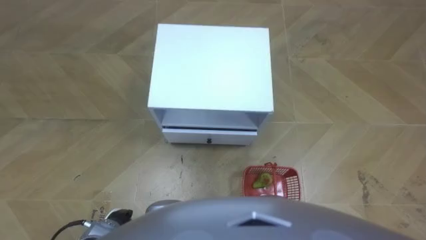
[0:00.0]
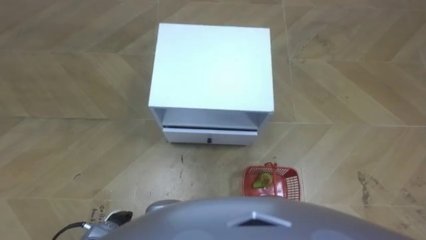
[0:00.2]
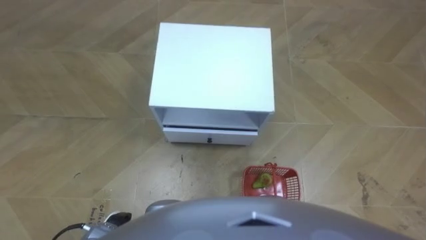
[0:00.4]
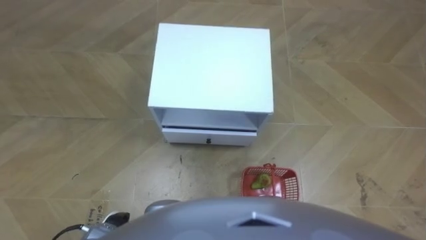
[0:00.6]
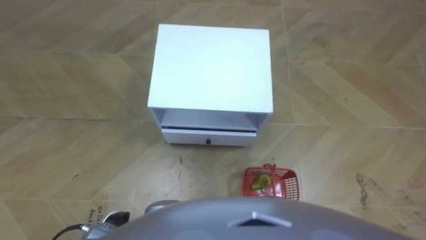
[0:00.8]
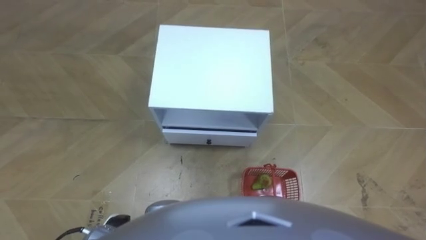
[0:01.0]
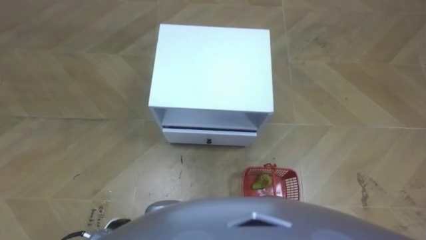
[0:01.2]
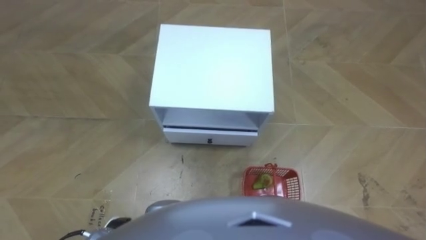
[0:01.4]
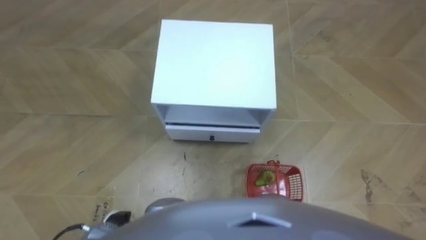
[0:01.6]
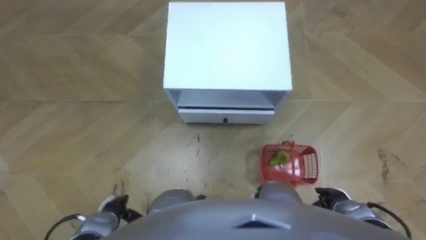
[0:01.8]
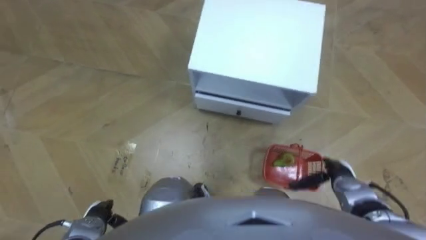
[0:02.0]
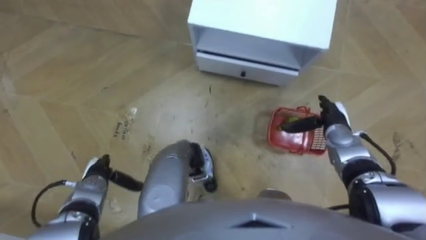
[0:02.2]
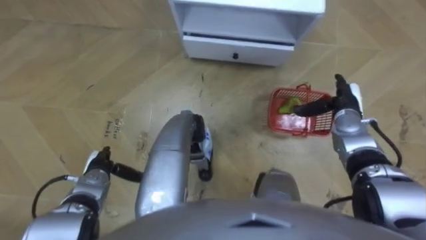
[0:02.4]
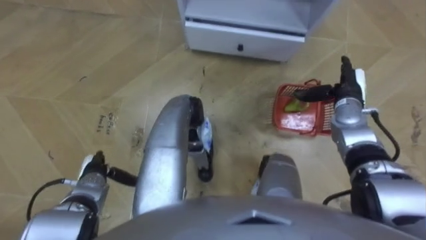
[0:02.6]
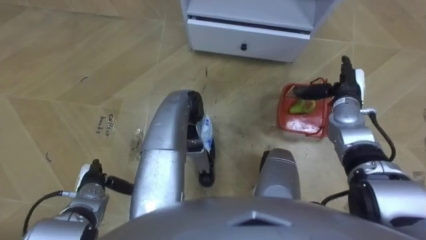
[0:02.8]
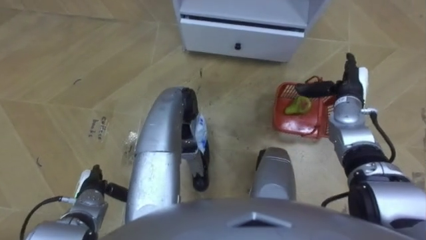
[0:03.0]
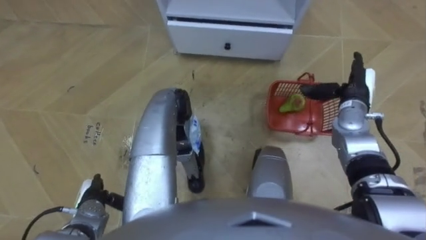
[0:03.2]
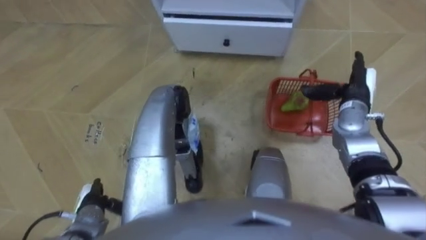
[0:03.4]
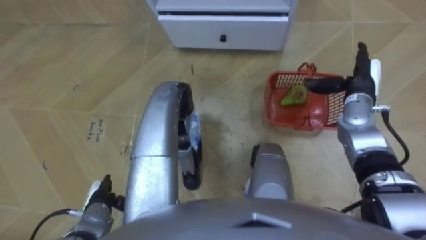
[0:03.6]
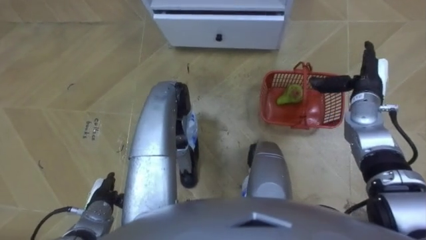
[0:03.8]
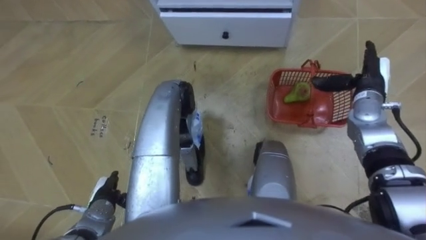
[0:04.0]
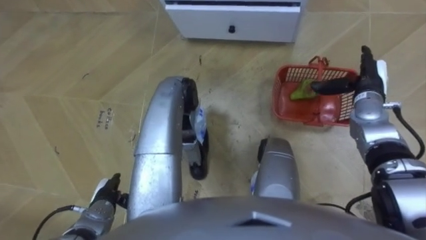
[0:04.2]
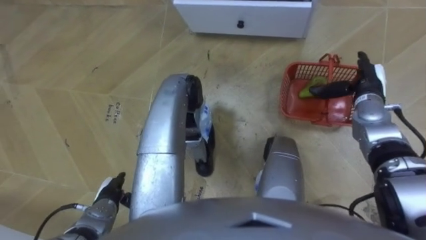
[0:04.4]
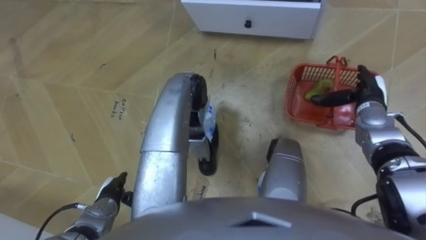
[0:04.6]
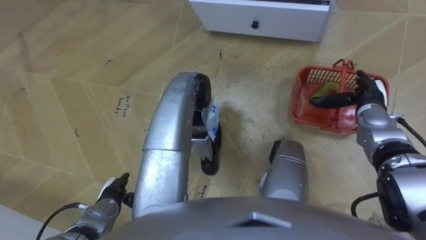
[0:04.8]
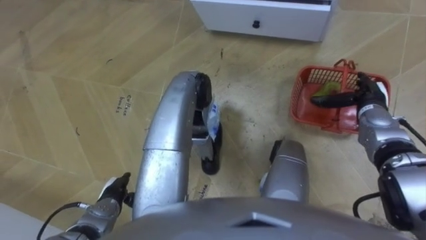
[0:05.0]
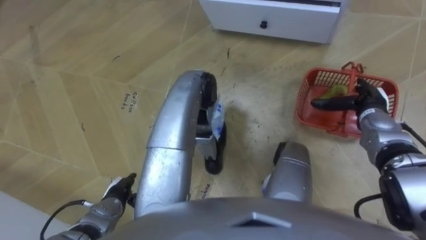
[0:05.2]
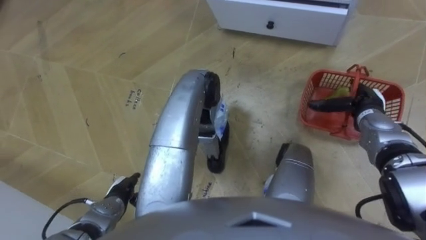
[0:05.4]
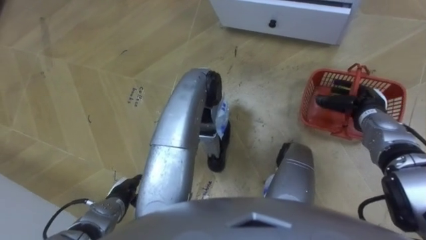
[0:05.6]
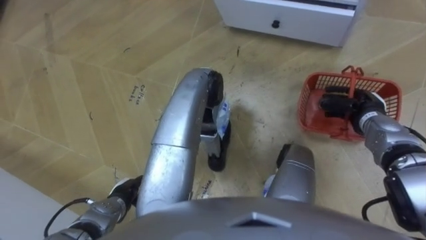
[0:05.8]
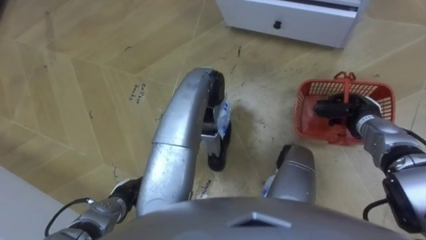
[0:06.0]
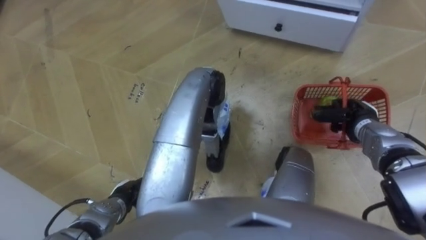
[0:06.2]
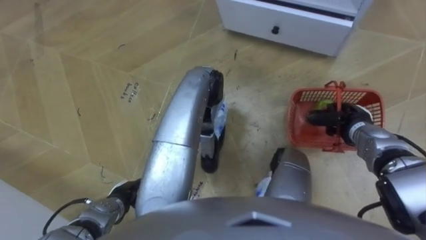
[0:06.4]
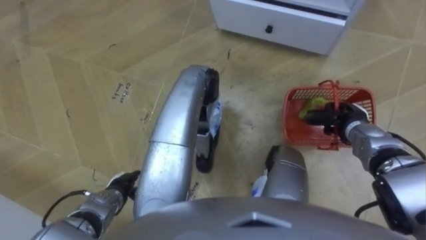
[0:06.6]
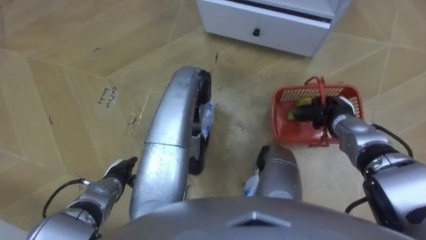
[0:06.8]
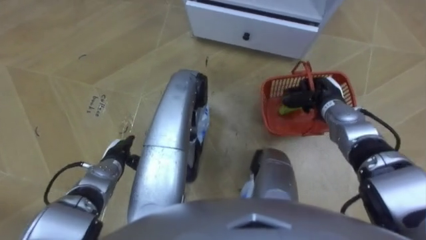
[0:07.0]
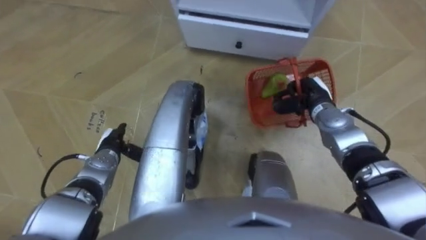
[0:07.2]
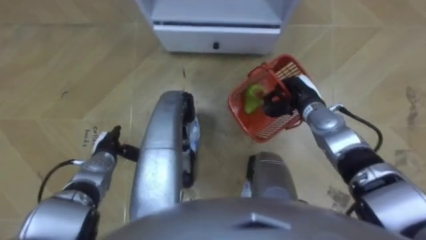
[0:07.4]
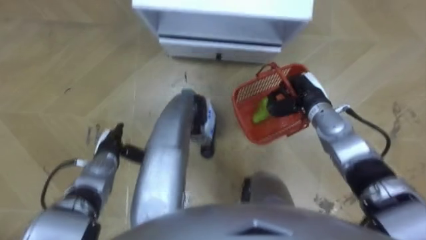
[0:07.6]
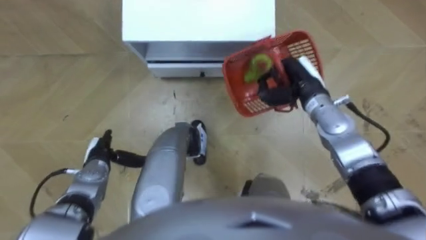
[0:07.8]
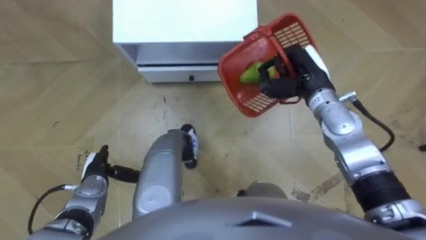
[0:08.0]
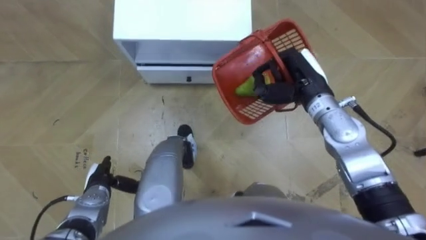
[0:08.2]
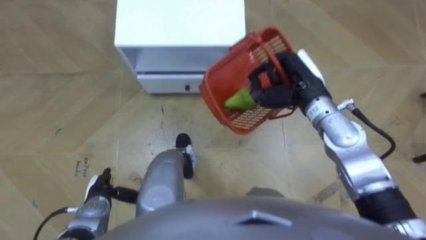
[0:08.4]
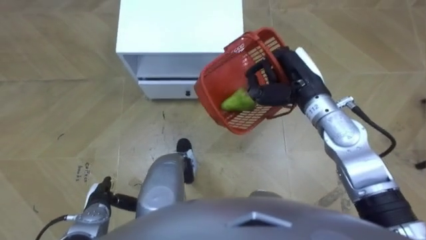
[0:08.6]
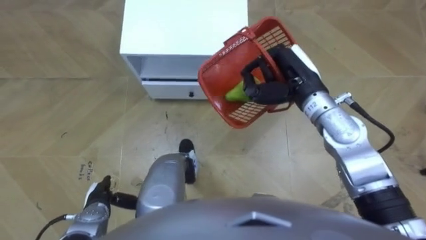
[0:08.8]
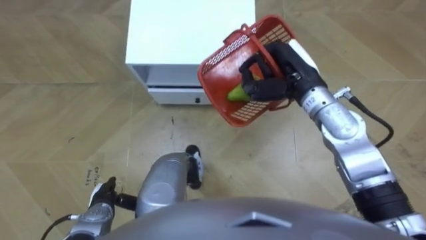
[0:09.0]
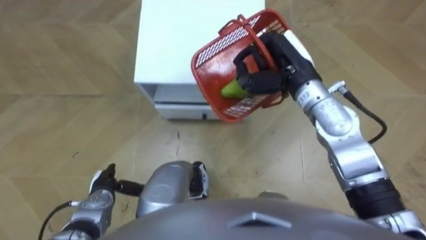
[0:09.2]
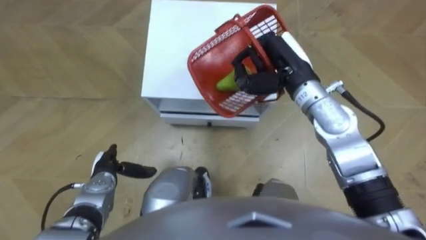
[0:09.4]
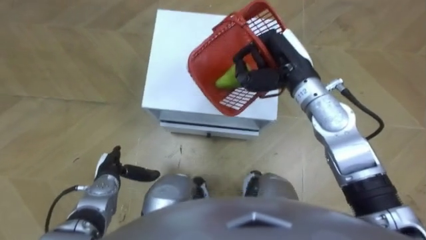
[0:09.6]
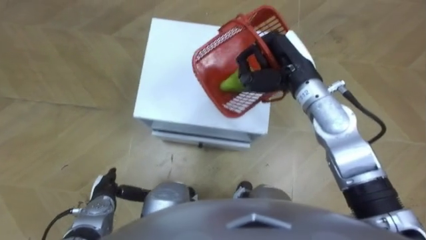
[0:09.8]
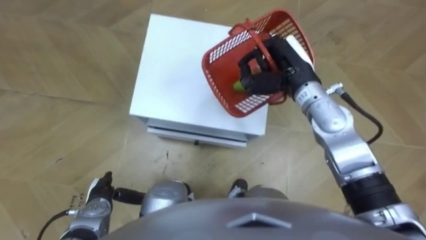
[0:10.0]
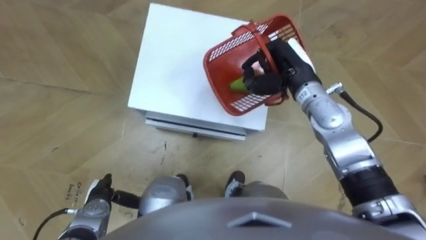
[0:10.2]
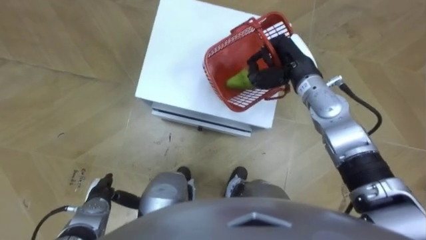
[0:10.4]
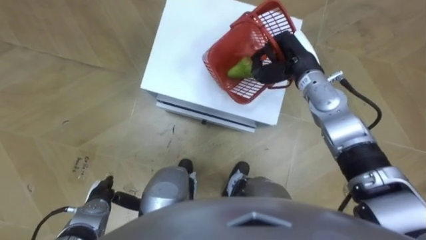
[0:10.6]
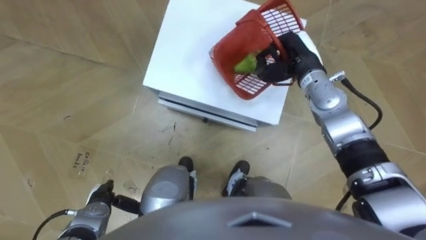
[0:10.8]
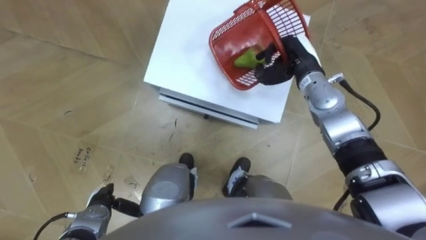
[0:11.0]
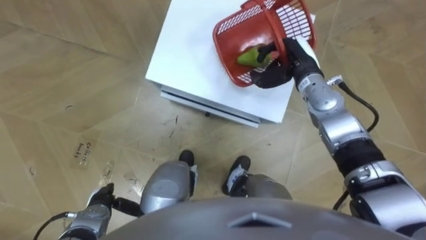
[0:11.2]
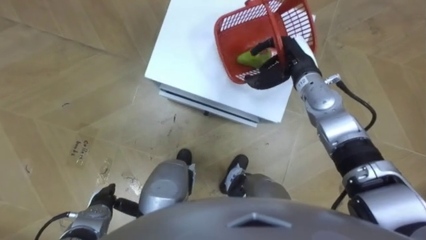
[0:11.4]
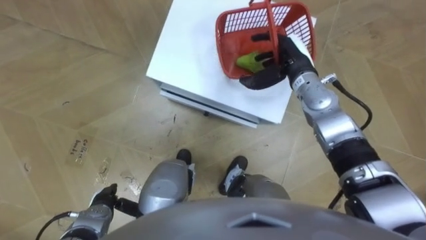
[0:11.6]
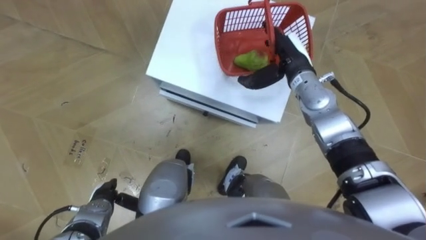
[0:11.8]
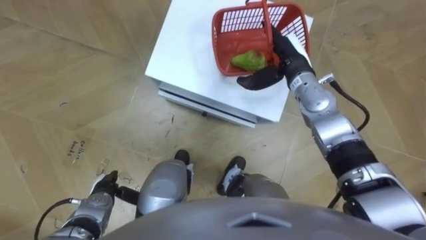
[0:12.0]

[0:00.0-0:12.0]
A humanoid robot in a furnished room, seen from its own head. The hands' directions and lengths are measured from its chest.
Task of the whole recording: Pick up the fruit basket from the floor and place it on the cabinet.
0:01.6 to 0:03.0: The right hand shifts some 30 cm forward and upward, while the left hand is displaced forward and to the left by some 10 cm.
0:04.4 to 0:06.0: The right hand changes place by roughly 5 cm, and closes its fingers.
0:06.0 to 0:07.6: The left hand is displaced forward by roughly 10 cm, while the right hand moves to the left, about 10 cm.
0:07.6 to 0:09.0: The right hand heads upward and to the left, covering about 15 cm; the left hand heads backward, covering roughly 10 cm.
0:09.0 to 0:10.4: The right hand moves approximately 5 cm.
0:10.4 to 0:12.0: The right hand opens.

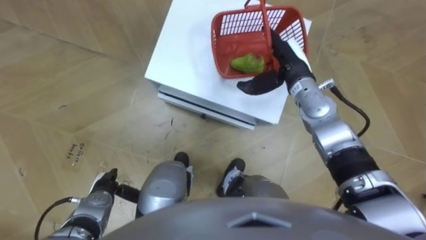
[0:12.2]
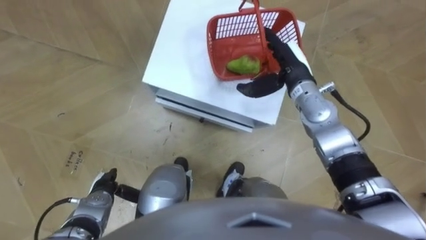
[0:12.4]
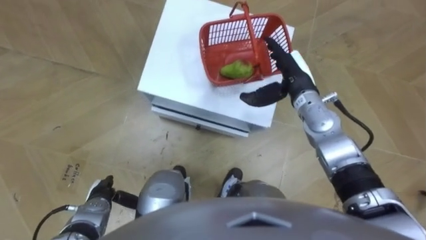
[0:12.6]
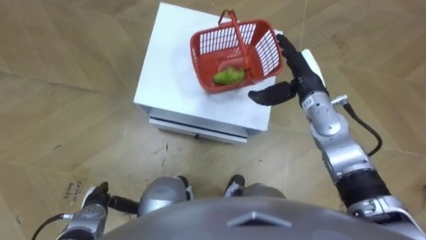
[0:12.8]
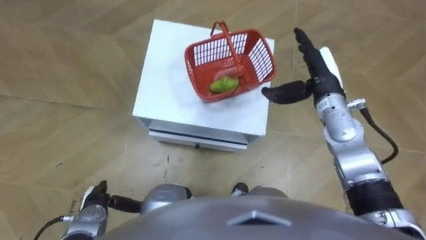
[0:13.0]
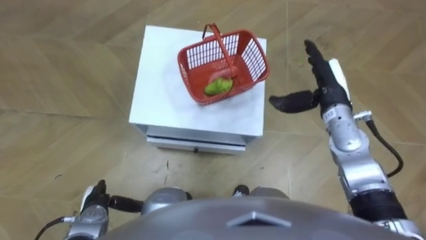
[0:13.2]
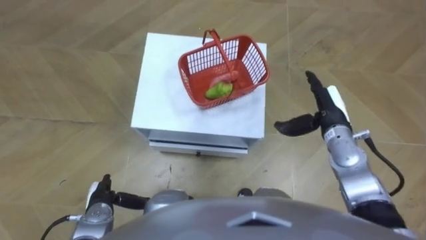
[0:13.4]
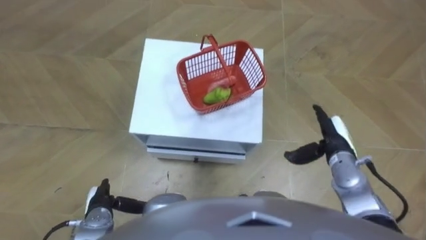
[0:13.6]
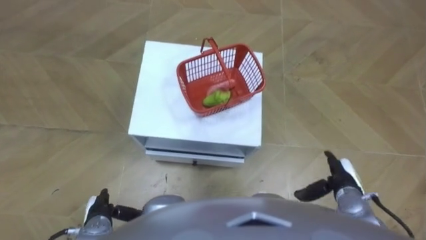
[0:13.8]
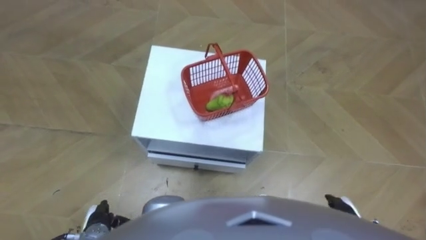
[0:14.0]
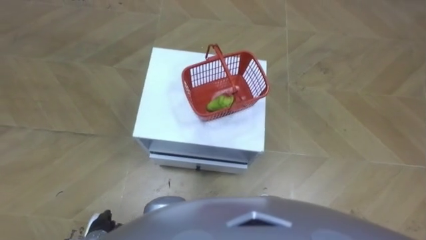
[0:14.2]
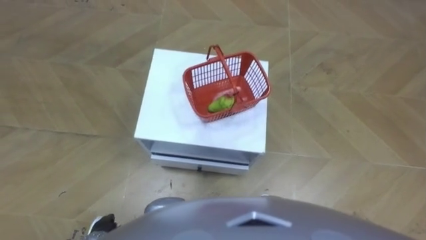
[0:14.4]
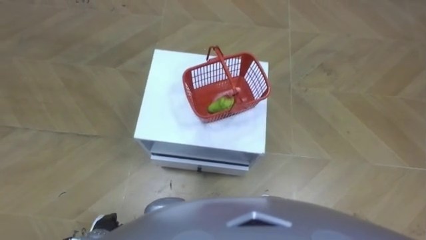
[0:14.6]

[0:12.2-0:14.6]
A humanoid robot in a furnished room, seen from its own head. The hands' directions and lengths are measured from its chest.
Task of the whole recording: Pick up the fruit basket from the floor and place it on the cabinet.
0:12.2 to 0:13.4: The right hand travels to the right and backward by about 10 cm.
0:13.4 to 0:14.6: The left hand goes roughly 5 cm backward.

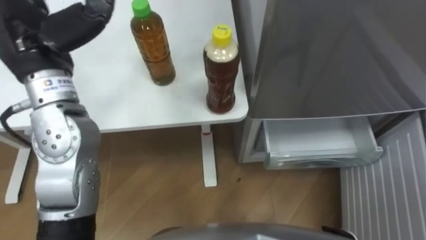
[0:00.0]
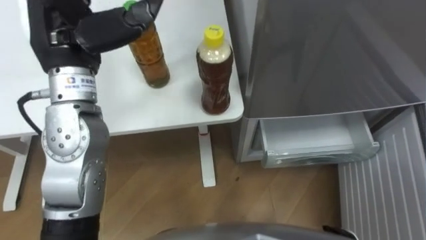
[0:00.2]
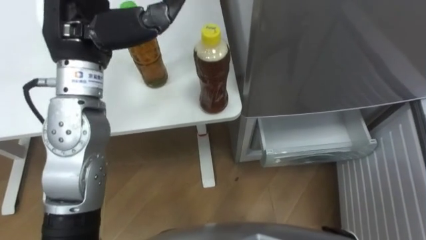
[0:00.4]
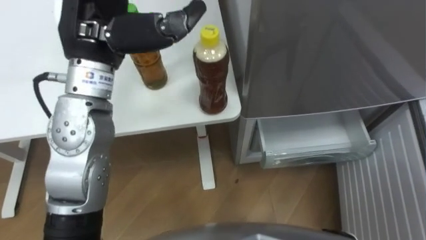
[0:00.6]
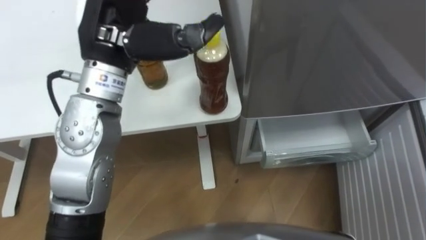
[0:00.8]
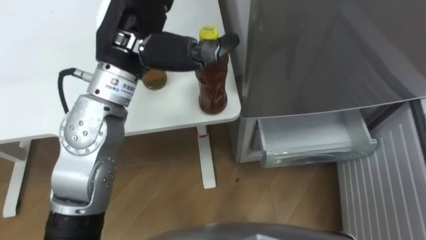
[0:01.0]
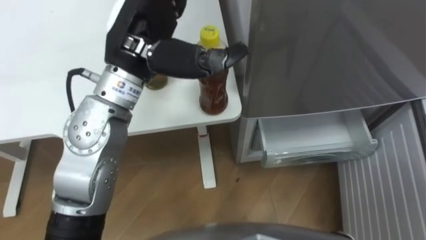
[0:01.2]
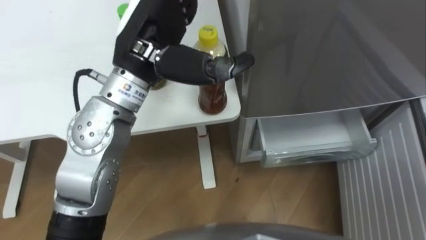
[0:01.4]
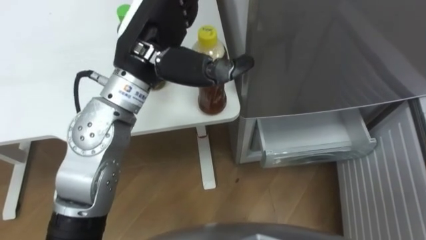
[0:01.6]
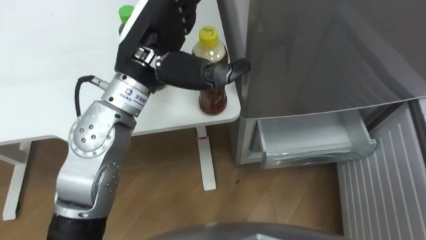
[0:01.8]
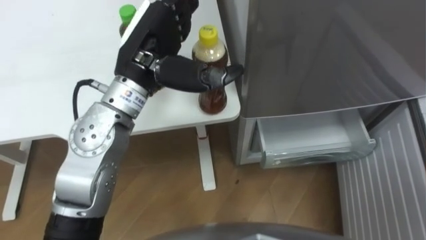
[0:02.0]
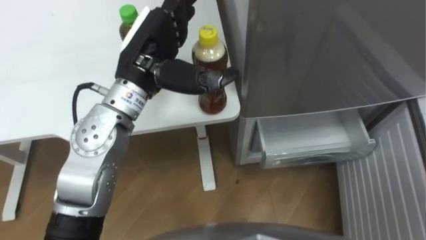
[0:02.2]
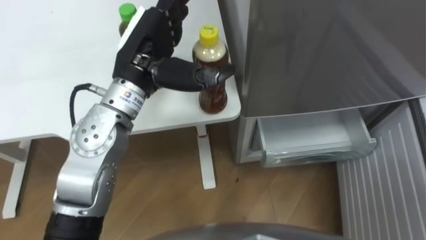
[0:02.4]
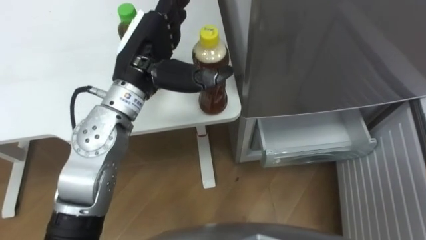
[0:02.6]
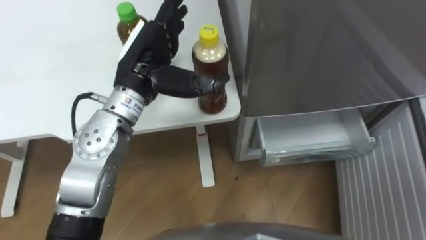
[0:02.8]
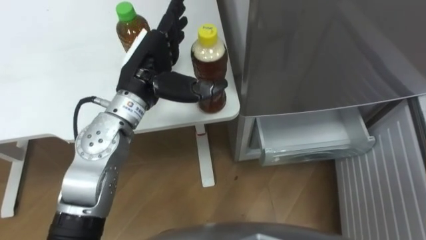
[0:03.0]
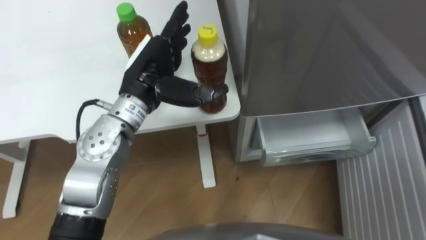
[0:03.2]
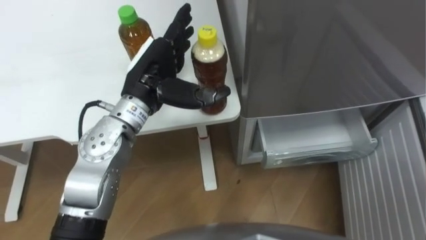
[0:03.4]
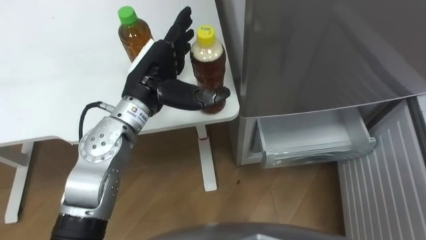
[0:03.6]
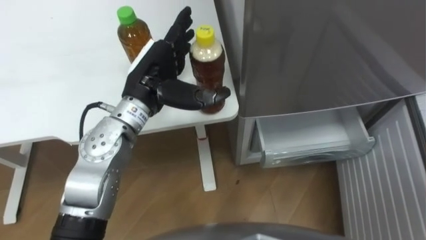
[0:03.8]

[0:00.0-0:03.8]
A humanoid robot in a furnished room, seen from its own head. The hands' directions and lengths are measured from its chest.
Task of the whole recording: Place the drink on the table on the bottom shelf of the refrigerator, then close the drawer and the refrigerator door.
0:00.0 to 0:01.2: The left hand goes roughly 15 cm to the right.
0:01.2 to 0:02.6: The left hand goes some 5 cm downward.
0:02.6 to 0:03.8: The left hand goes about 5 cm downward.
